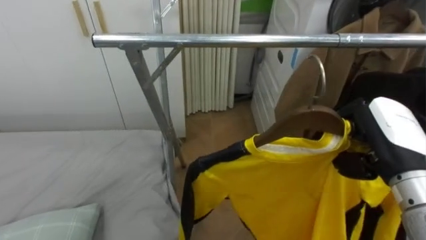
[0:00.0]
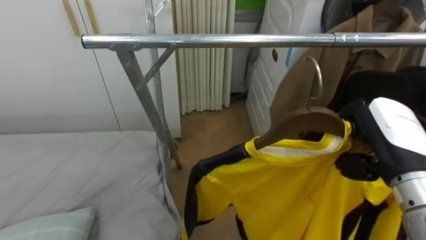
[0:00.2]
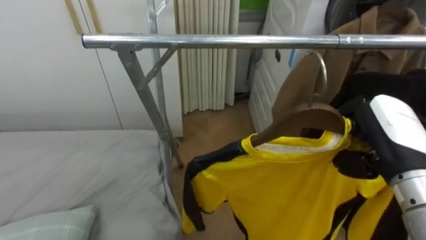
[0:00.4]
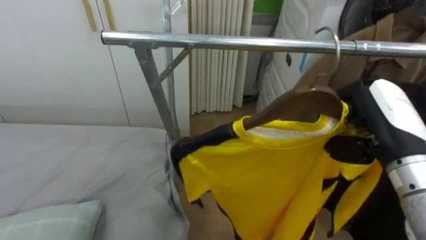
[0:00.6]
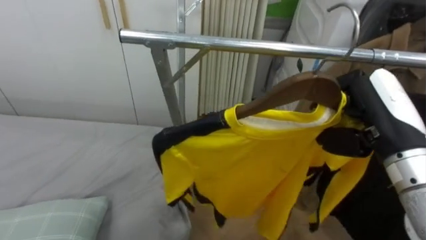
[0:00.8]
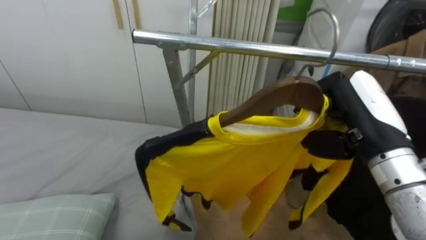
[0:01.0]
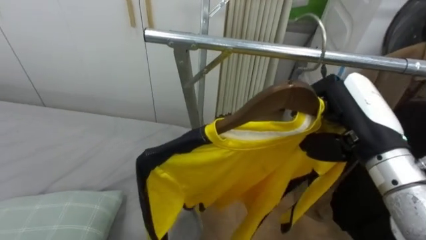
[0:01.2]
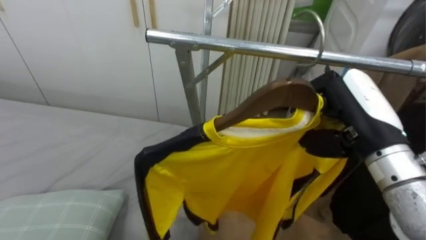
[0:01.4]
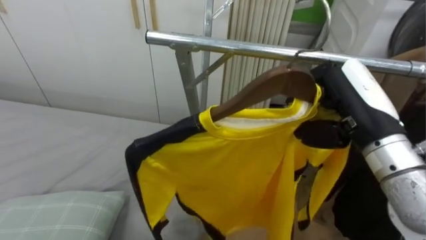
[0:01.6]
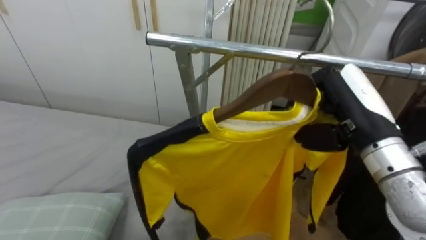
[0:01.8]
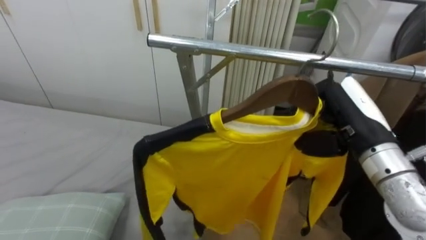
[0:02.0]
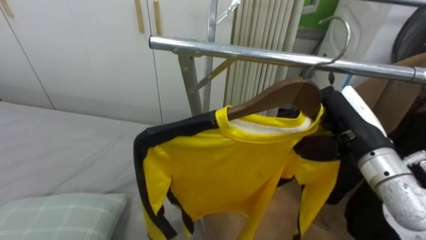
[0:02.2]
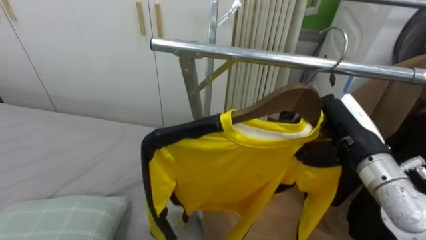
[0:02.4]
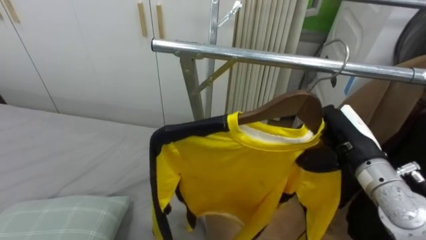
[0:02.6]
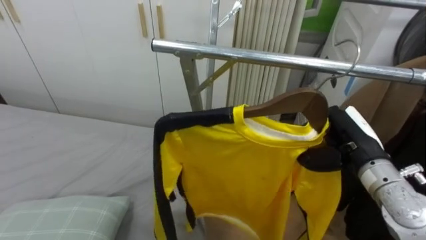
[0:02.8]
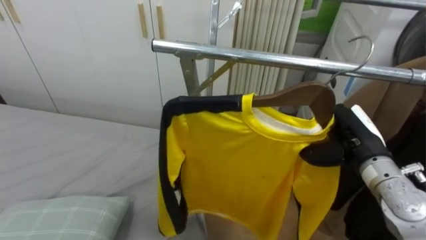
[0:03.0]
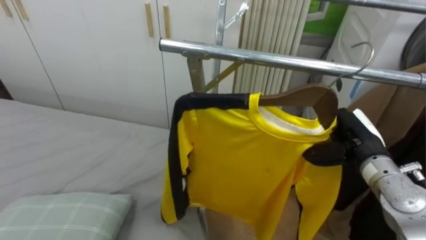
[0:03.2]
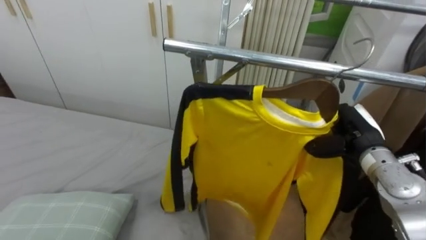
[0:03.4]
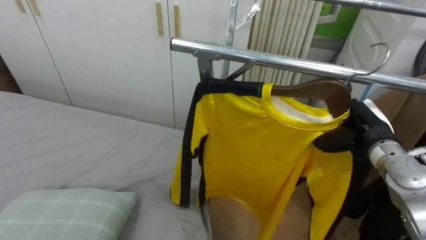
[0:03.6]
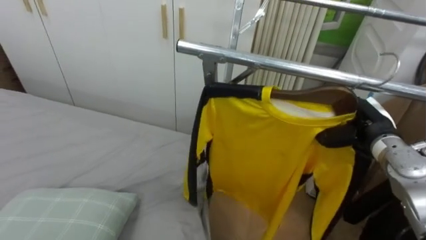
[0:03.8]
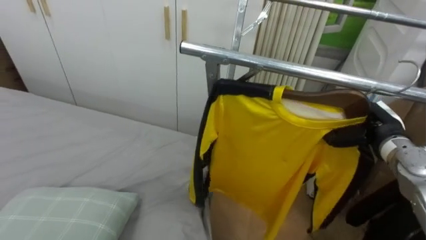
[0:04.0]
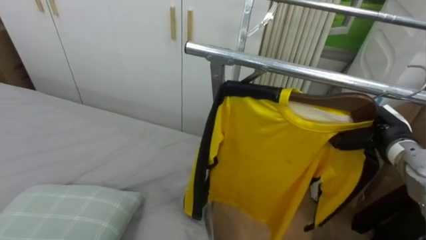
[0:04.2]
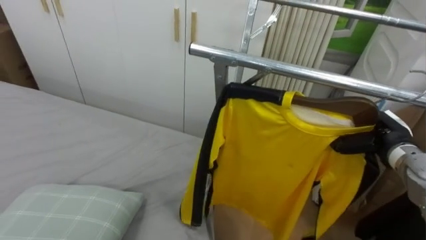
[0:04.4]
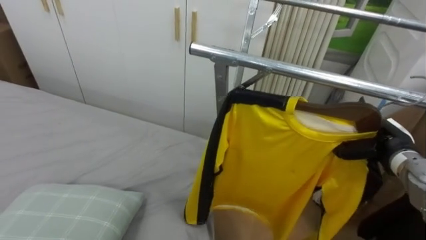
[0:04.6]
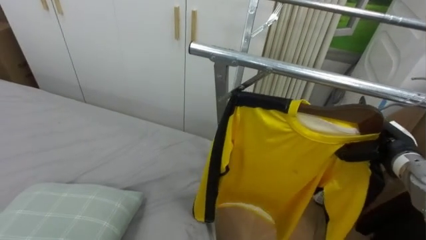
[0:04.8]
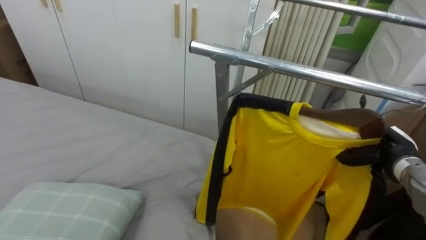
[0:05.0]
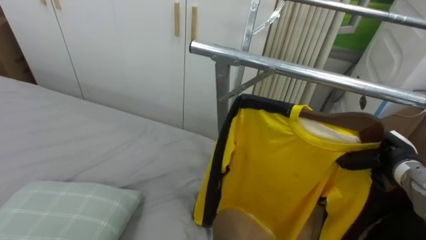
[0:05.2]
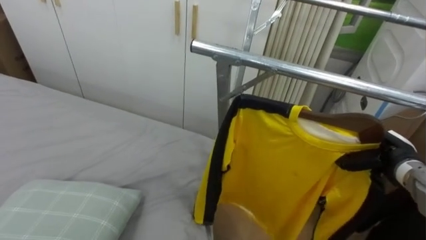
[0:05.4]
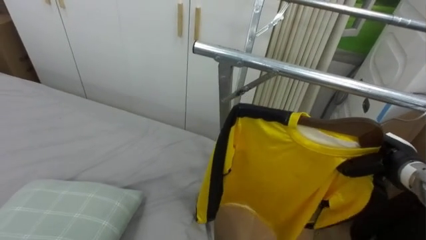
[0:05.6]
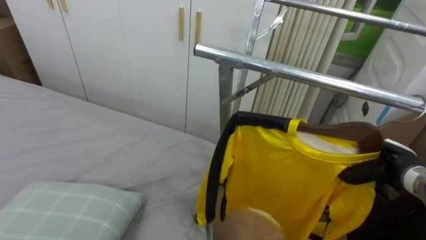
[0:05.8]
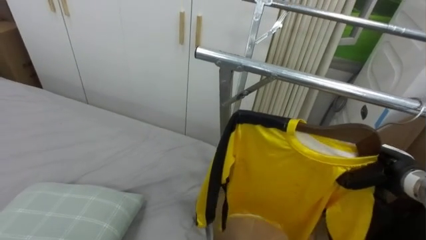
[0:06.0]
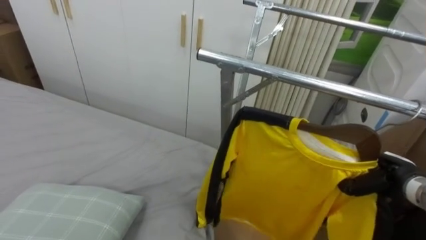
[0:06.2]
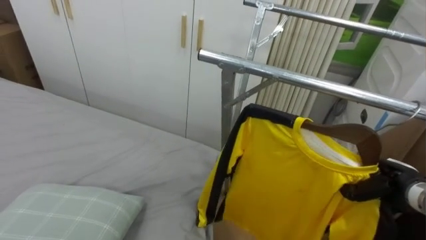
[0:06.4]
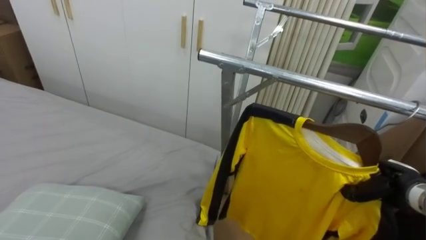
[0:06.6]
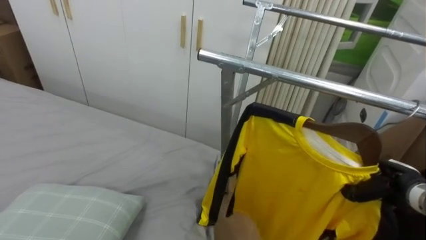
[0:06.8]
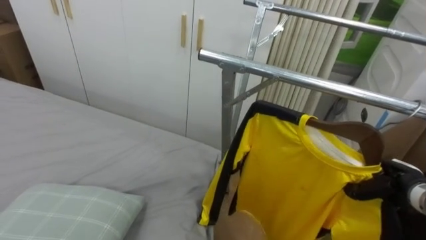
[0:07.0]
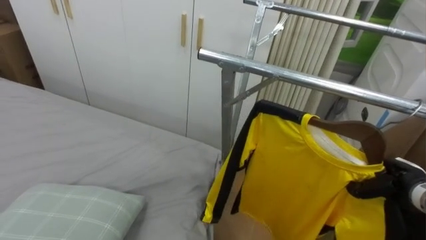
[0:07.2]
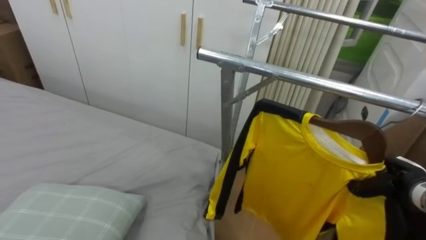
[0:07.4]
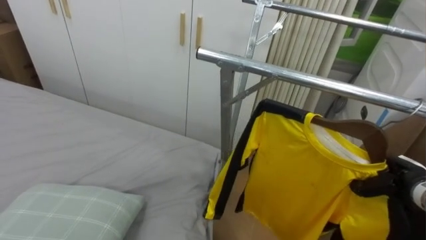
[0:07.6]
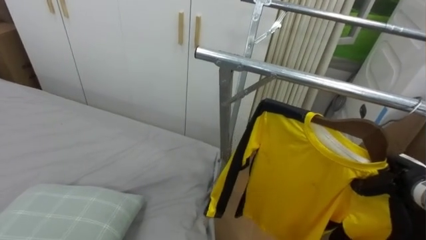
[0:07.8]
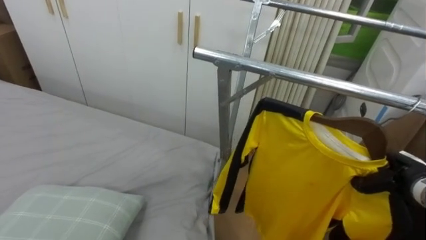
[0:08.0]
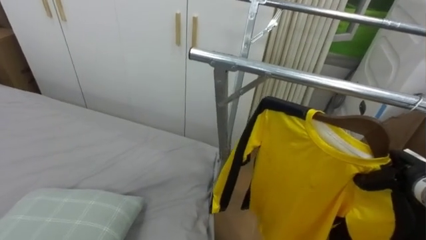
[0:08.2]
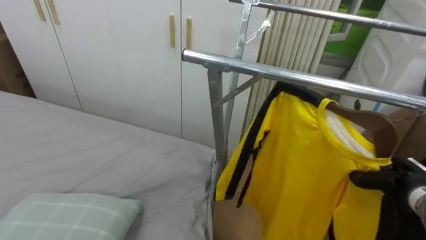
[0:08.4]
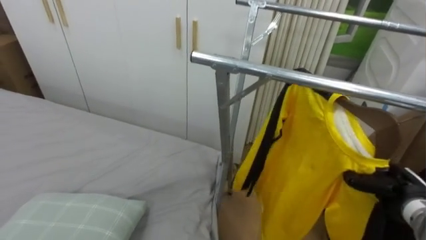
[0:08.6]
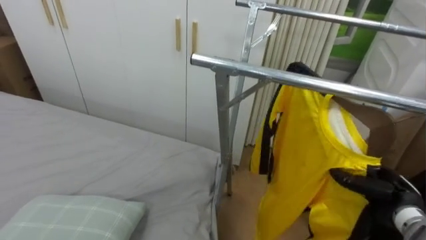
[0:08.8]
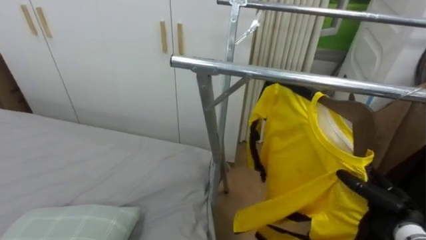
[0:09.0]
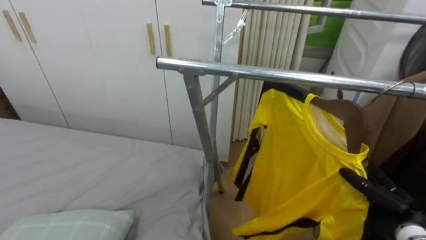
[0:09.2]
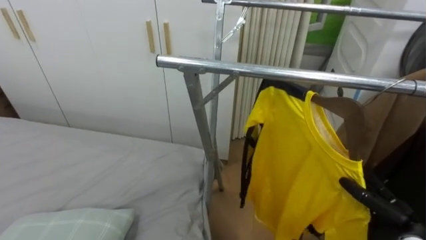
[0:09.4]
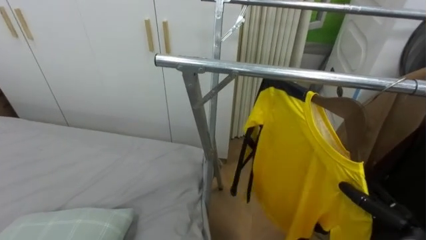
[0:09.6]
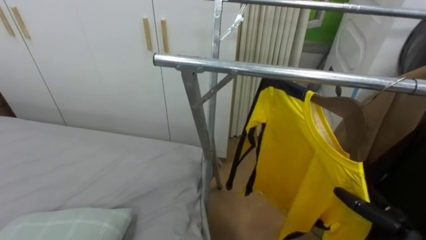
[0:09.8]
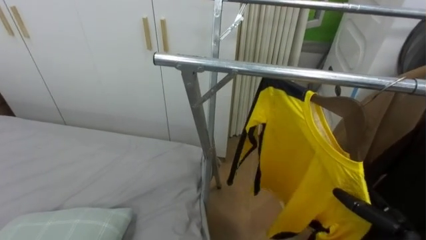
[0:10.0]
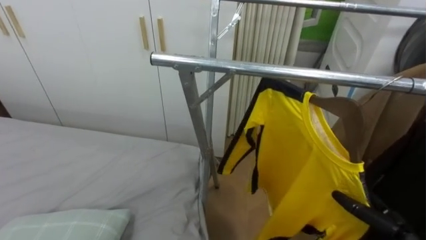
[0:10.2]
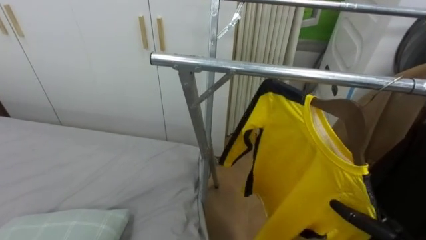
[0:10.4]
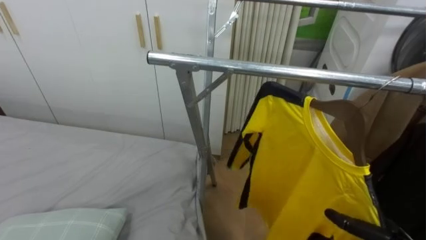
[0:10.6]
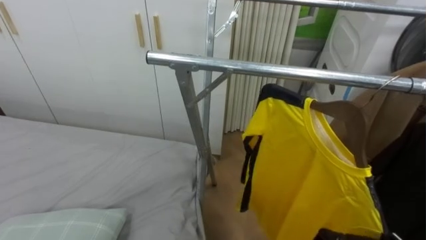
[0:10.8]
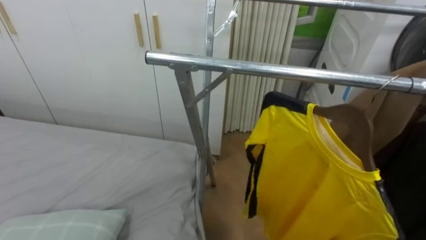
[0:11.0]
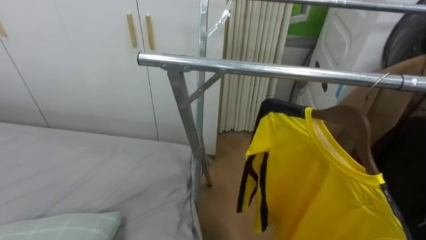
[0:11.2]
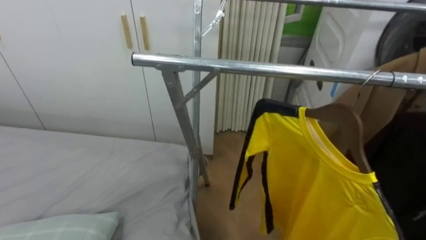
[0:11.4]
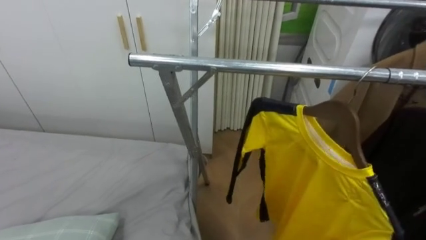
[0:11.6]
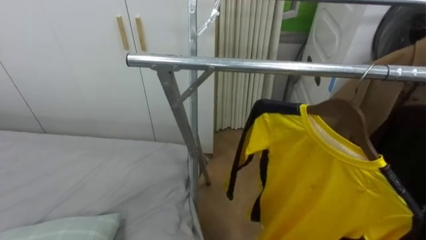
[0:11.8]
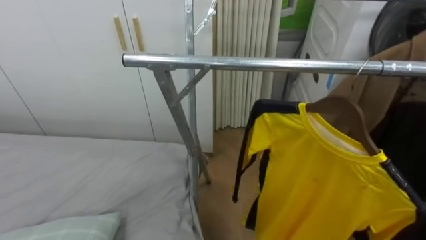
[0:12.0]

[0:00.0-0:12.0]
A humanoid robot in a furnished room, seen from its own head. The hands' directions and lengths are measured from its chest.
Task of the whole recording: Pick up the yellow shirt on the bed and hang it on the clothes rack on the right.
0:00.0 to 0:01.6: The right hand moves to the left, about 5 cm.
0:01.6 to 0:03.0: The right hand shifts about 10 cm downward.
0:03.0 to 0:04.4: The right hand moves to the right, roughly 5 cm.
0:04.4 to 0:06.0: The right hand goes roughly 5 cm downward.
0:07.6 to 0:09.0: The right hand moves some 5 cm, and opens up.

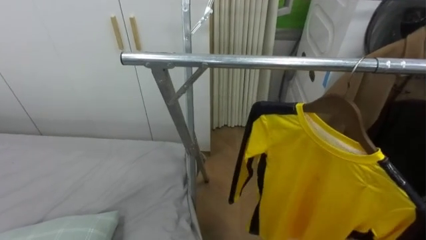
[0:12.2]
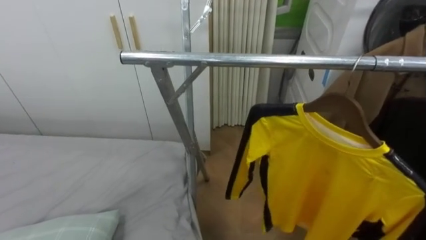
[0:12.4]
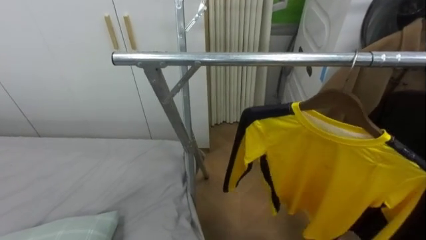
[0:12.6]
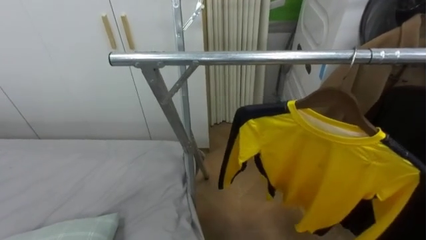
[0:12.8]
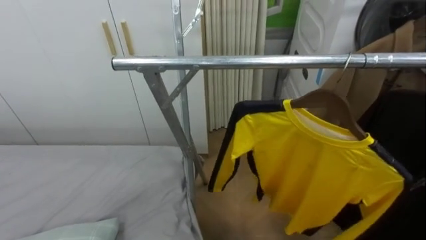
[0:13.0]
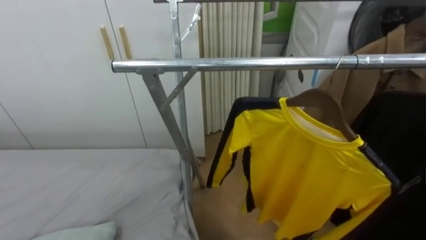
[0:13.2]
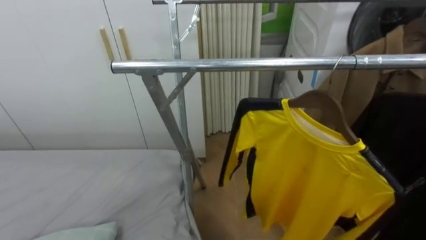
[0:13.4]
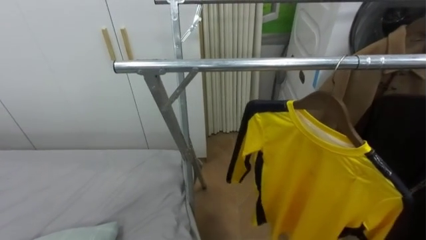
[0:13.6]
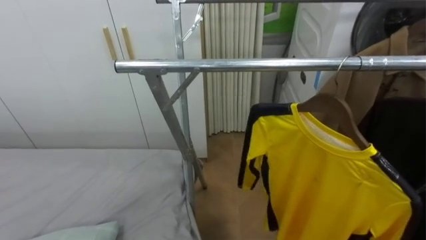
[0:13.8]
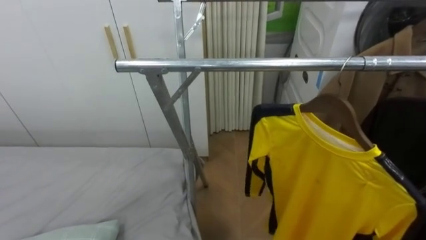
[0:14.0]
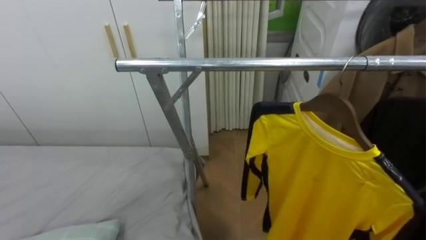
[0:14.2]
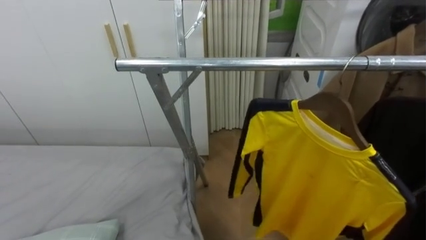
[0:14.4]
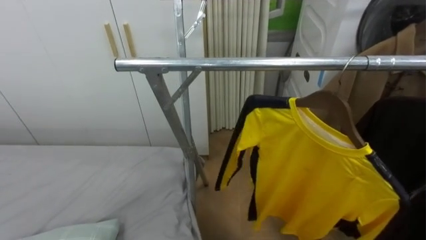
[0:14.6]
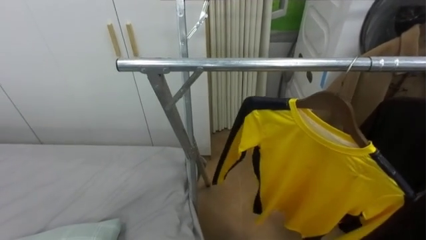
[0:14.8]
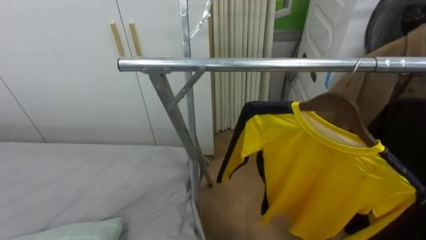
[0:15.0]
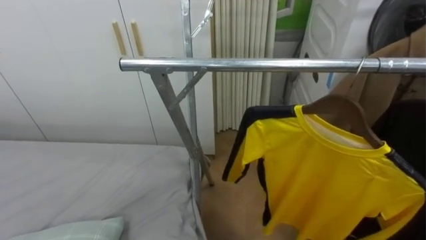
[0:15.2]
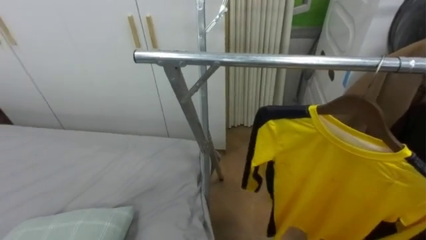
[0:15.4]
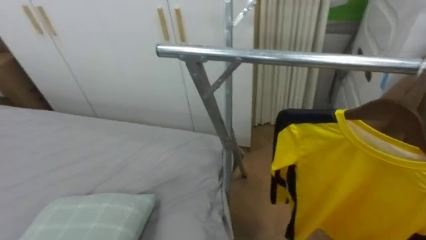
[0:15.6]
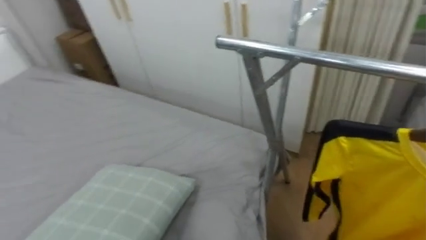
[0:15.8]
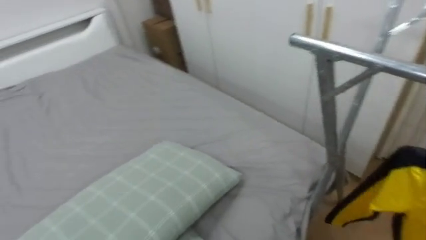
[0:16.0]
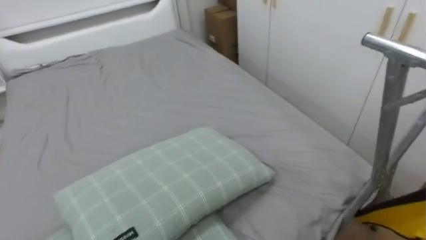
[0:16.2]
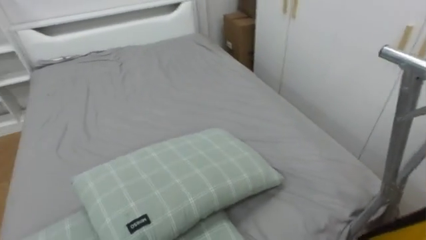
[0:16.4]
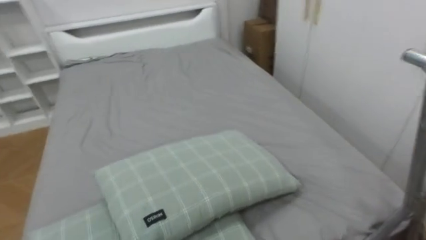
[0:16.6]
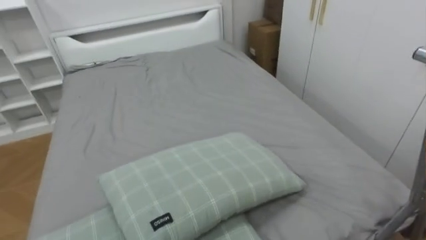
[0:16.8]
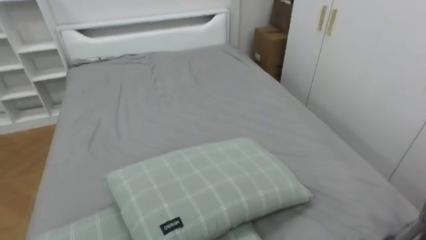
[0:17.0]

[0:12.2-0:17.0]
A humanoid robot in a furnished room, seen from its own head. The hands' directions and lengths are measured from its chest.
Task of the whole recording: Pick up the yellow shirt on the bed and hang it on the clothes rack on the right.
0:15.4 to 0:17.0: The robot turns to its left by some 65 degrees.
